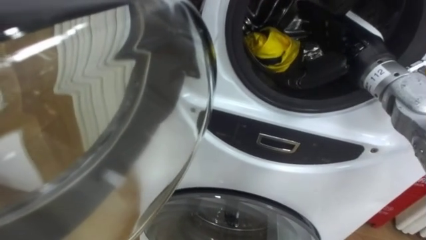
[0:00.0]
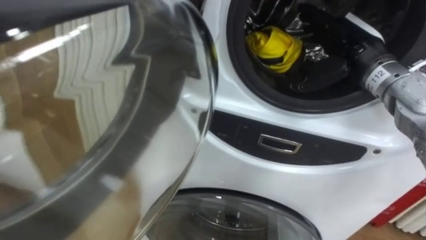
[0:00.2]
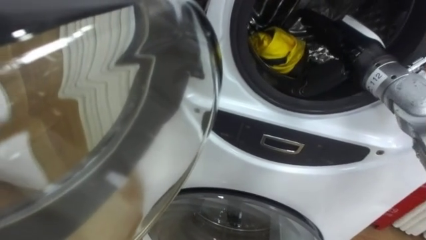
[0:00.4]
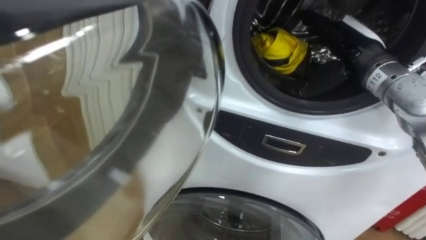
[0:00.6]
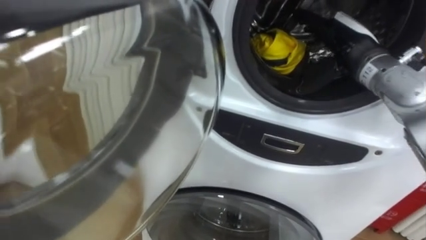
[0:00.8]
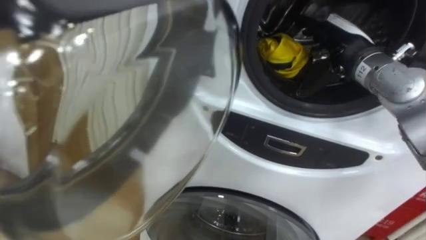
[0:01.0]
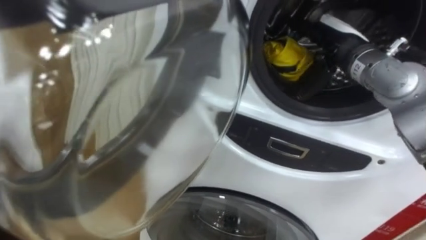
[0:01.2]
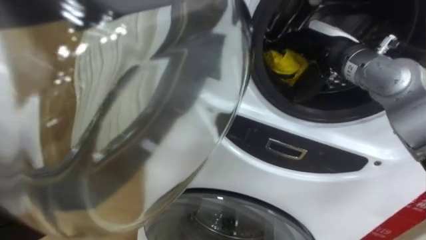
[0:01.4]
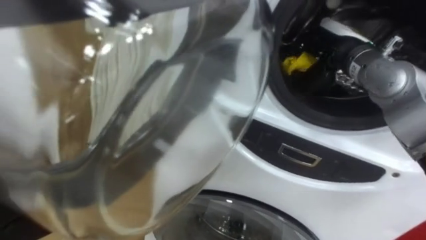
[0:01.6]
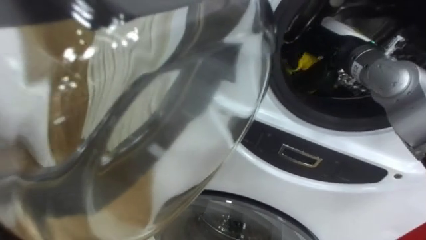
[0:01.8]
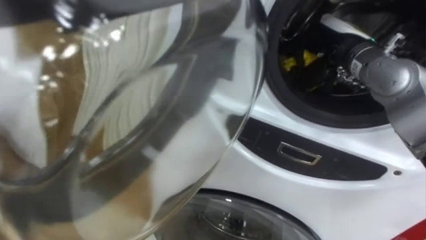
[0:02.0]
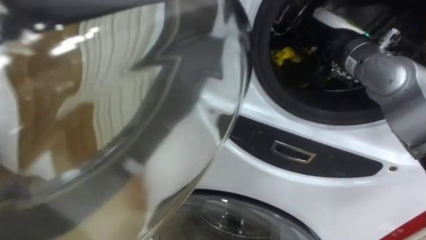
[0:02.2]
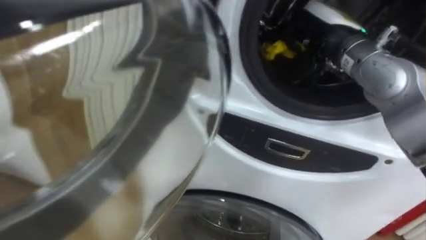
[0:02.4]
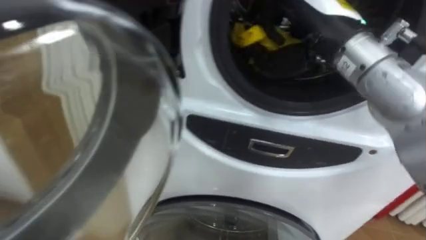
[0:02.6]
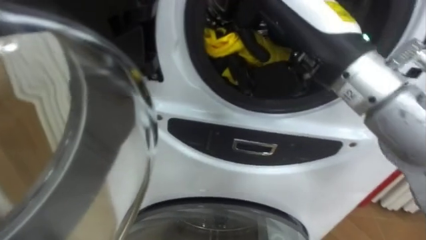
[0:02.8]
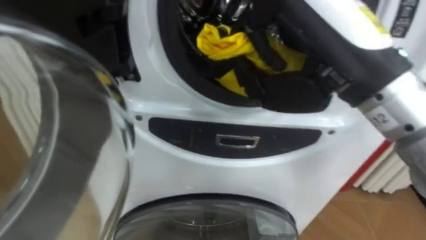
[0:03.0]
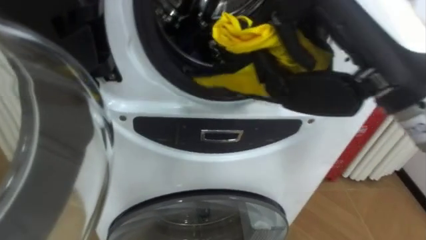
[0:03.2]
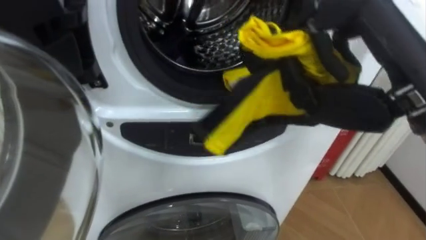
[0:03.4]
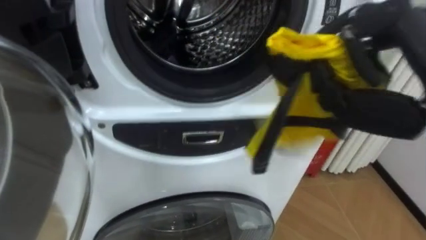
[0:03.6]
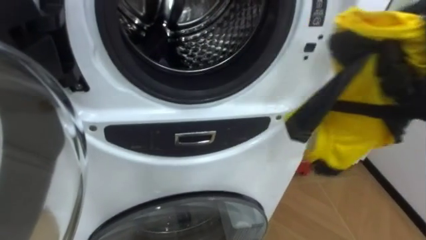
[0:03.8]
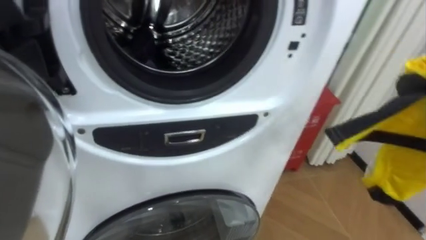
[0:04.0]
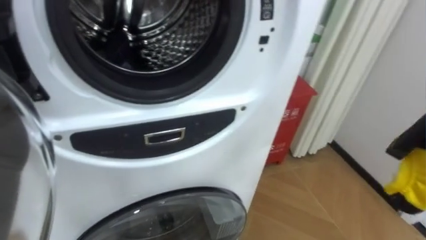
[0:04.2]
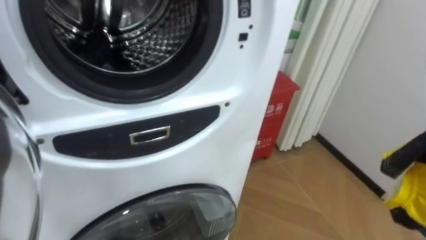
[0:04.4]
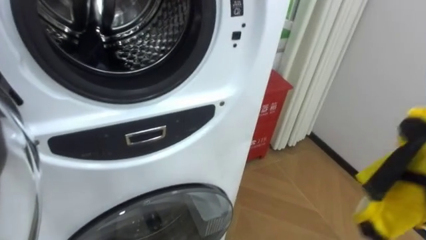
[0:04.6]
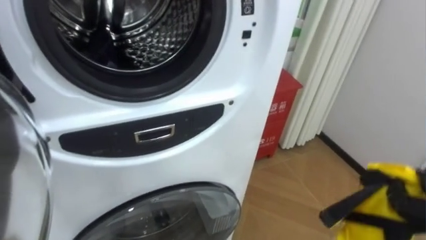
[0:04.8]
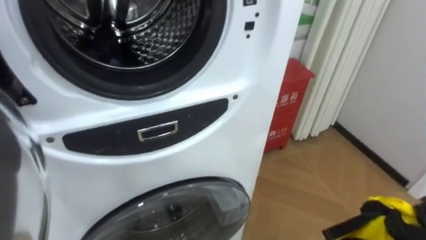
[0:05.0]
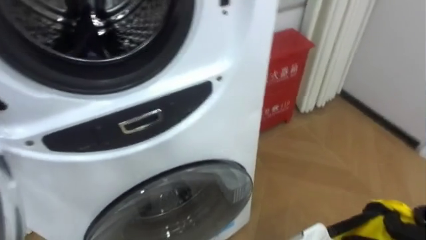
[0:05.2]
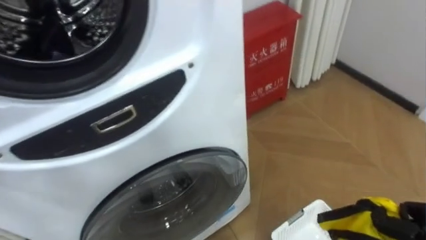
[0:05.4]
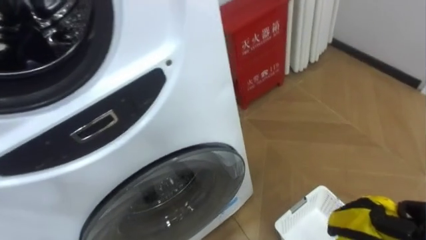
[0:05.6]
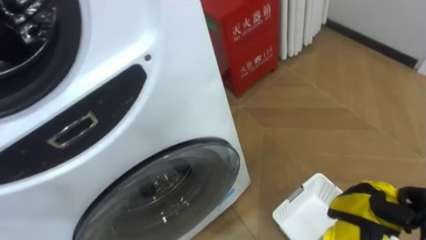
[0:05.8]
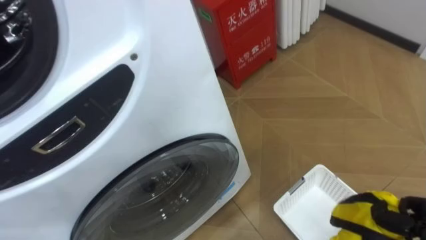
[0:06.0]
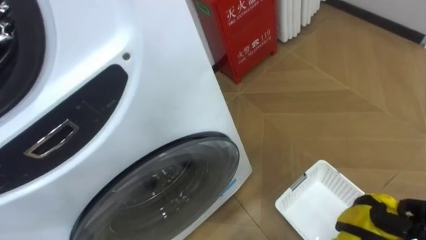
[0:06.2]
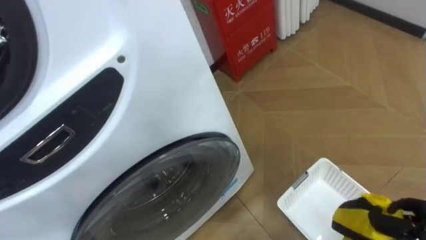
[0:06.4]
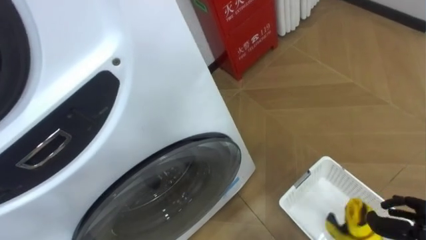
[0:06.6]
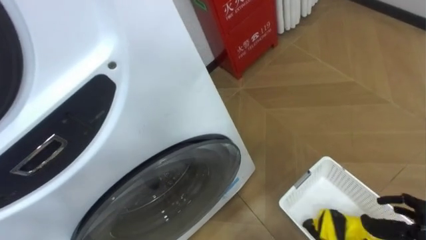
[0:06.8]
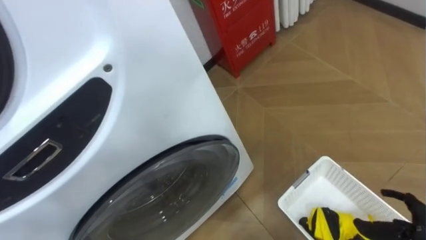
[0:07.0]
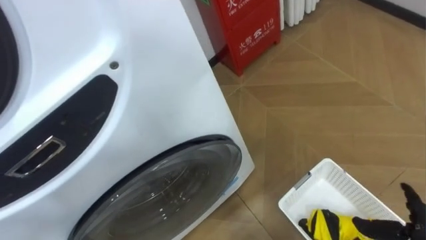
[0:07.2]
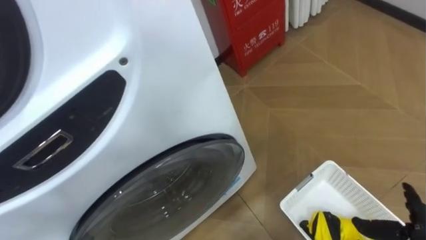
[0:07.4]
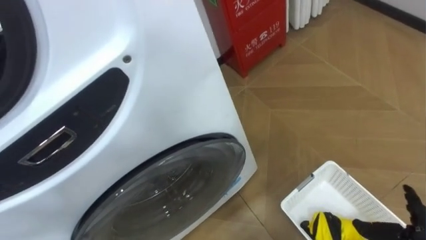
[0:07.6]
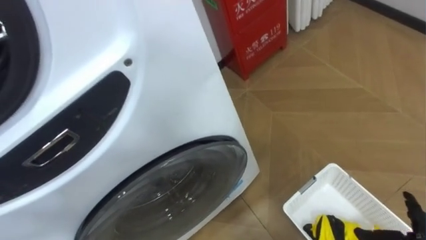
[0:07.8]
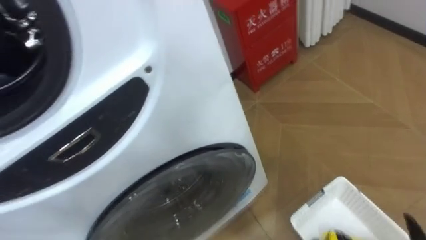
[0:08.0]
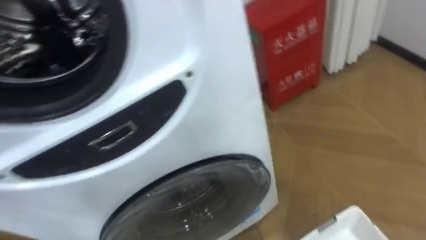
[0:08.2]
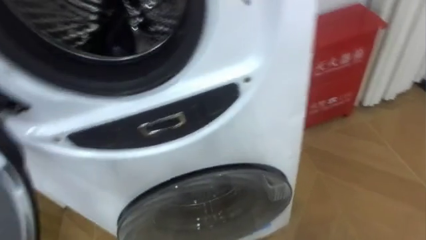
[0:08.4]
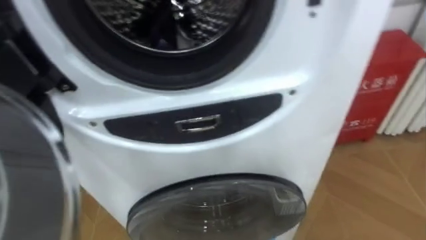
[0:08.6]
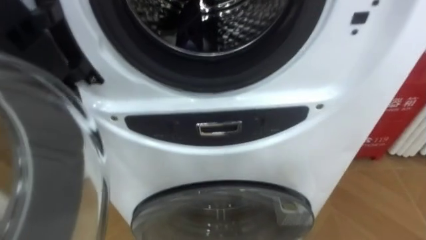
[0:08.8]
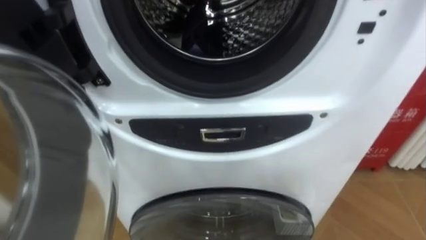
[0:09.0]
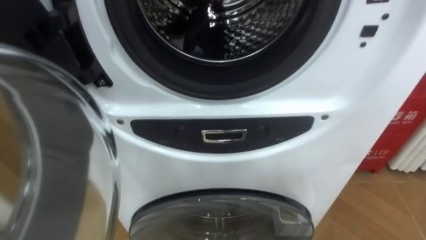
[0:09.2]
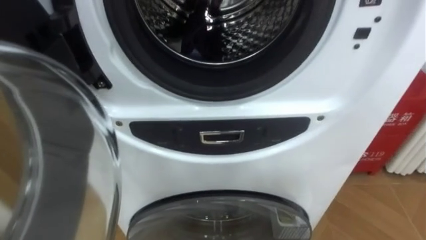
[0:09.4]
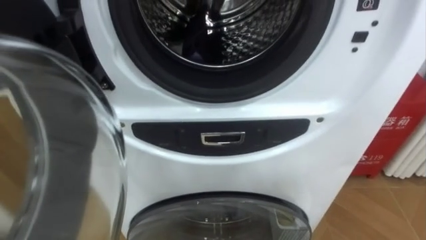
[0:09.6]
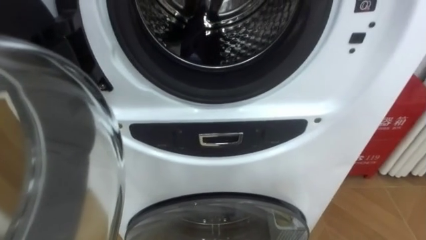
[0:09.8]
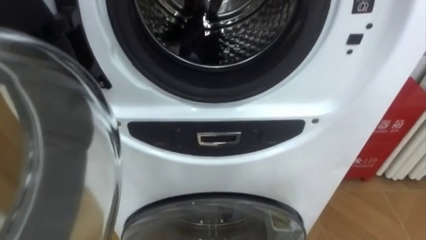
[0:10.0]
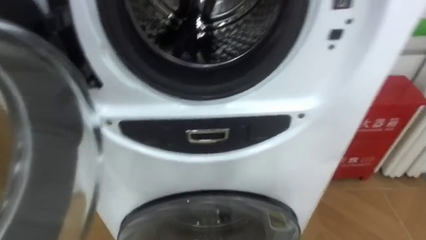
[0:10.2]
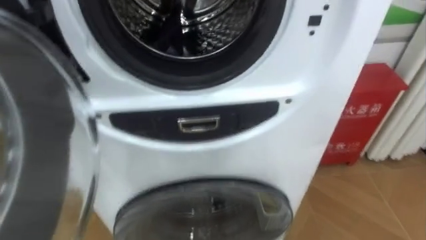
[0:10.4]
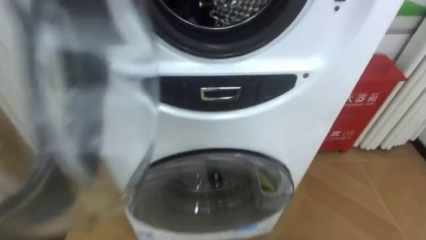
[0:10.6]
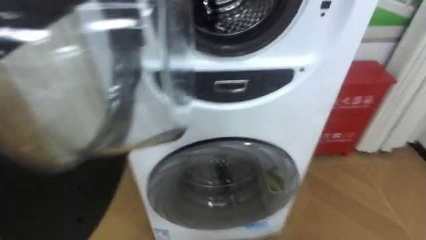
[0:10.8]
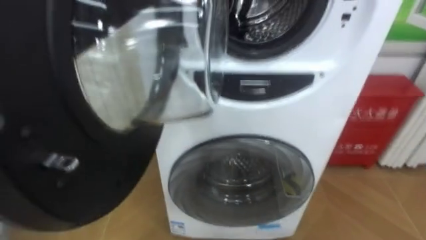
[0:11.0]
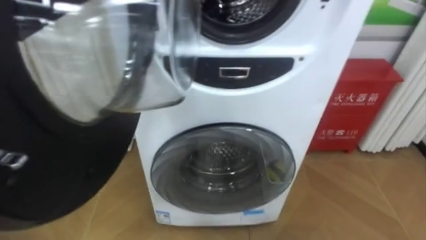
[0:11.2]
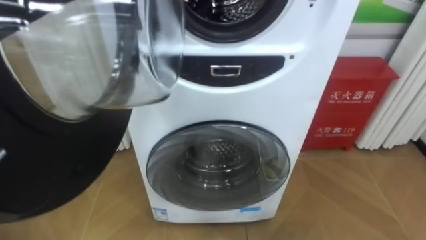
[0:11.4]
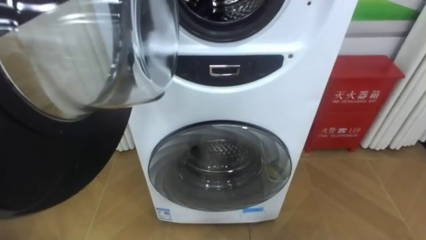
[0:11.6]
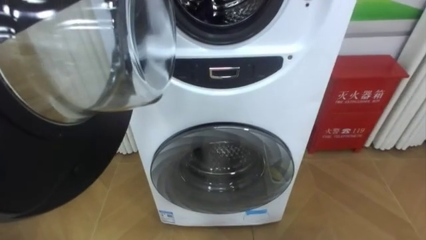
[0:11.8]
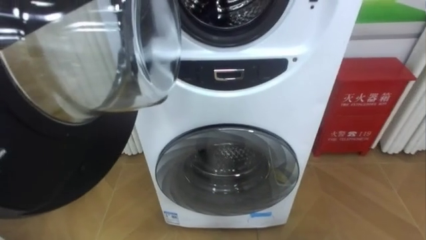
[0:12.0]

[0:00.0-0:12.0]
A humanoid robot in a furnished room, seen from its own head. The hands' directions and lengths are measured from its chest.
Task of the whole recording: Open the washing machine door, take out the yellow clothes, place them in the box on the right, and close the washing machine door.
0:00.0 to 0:01.6: The right hand closes up.
0:01.6 to 0:03.0: The right hand goes some 20 cm backward, upward and to the left.
0:06.0 to 0:07.6: The right hand opens.

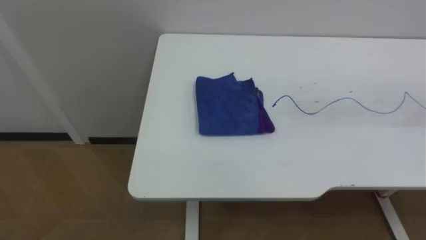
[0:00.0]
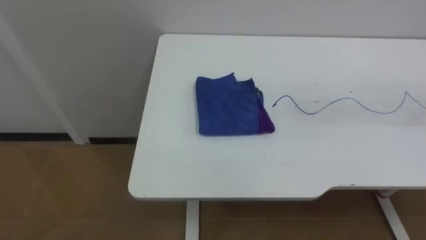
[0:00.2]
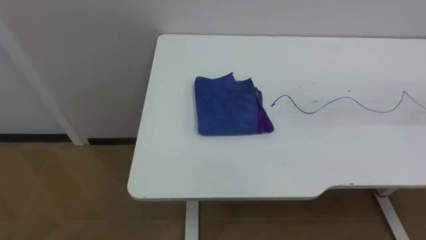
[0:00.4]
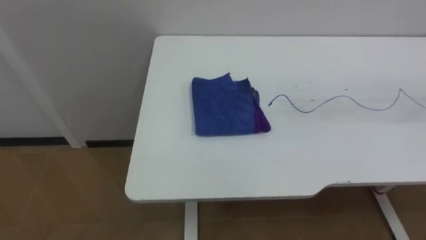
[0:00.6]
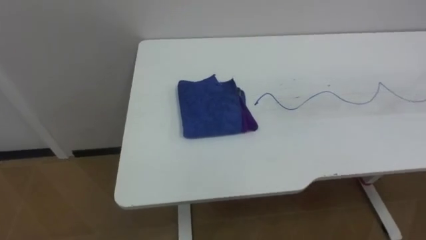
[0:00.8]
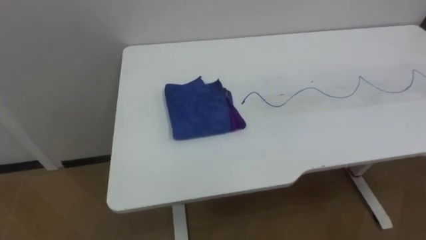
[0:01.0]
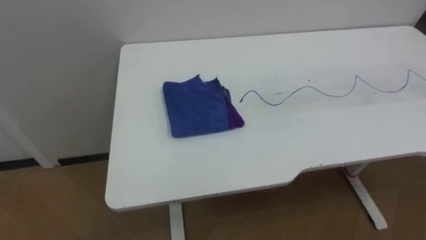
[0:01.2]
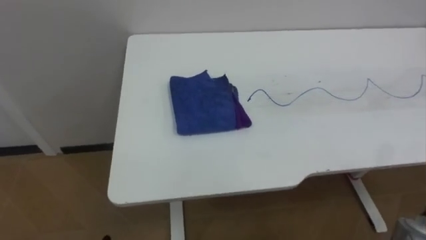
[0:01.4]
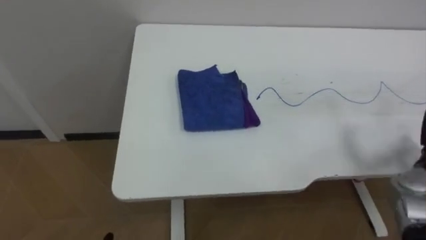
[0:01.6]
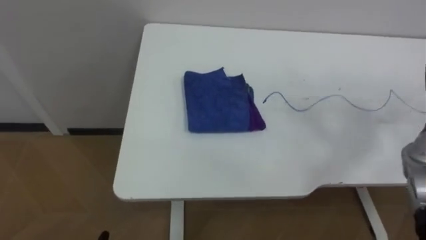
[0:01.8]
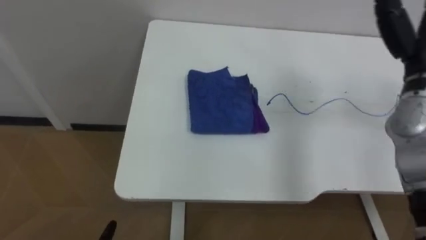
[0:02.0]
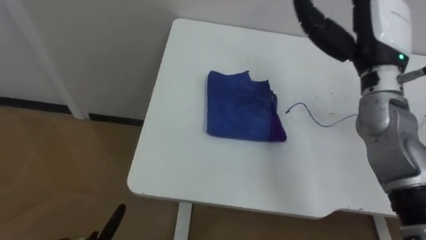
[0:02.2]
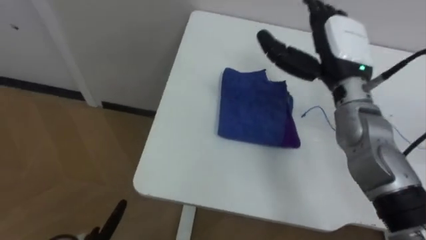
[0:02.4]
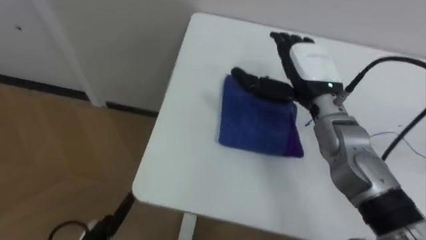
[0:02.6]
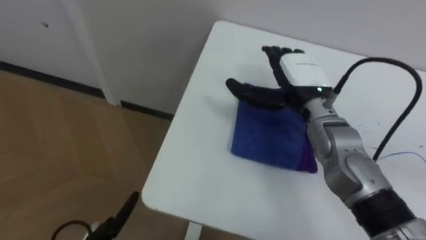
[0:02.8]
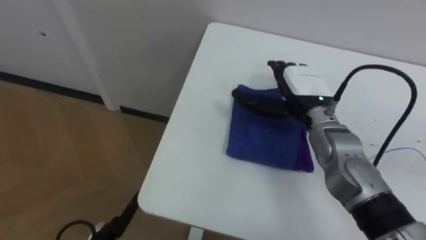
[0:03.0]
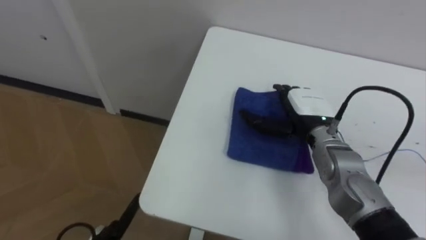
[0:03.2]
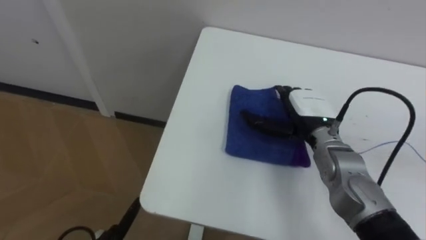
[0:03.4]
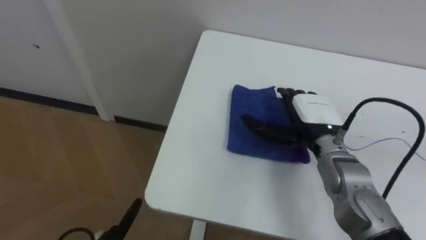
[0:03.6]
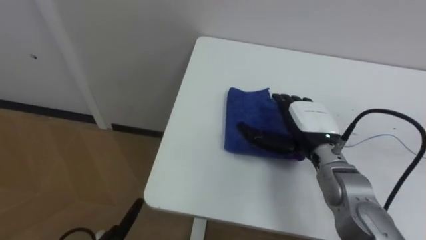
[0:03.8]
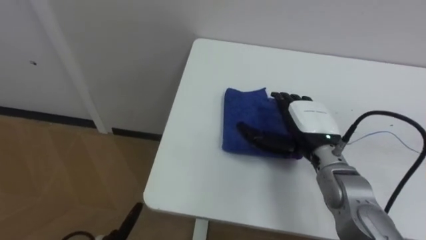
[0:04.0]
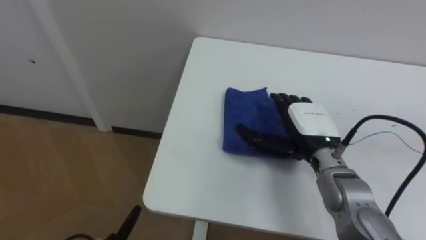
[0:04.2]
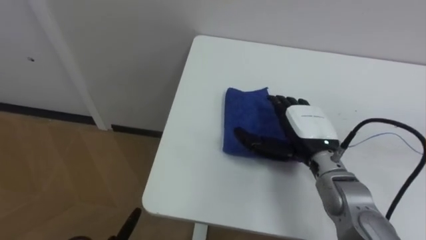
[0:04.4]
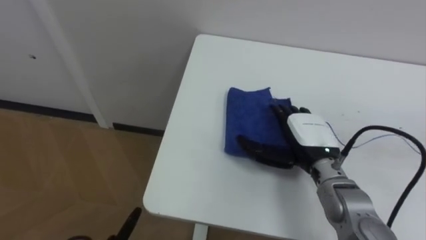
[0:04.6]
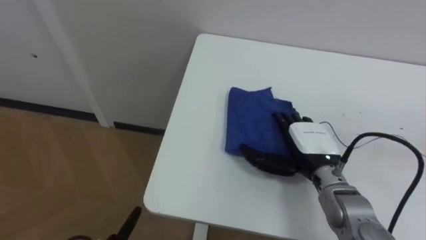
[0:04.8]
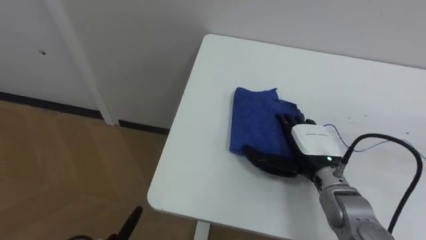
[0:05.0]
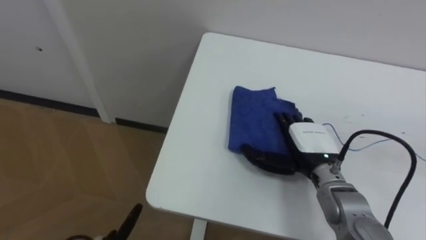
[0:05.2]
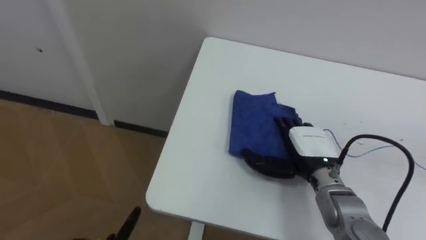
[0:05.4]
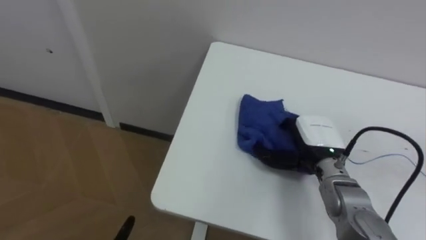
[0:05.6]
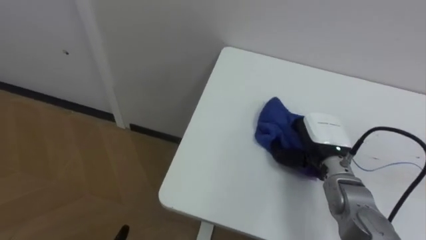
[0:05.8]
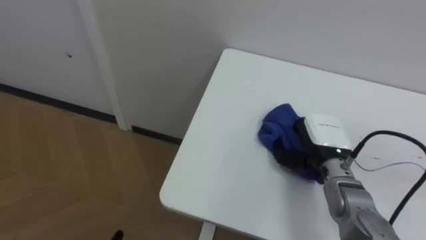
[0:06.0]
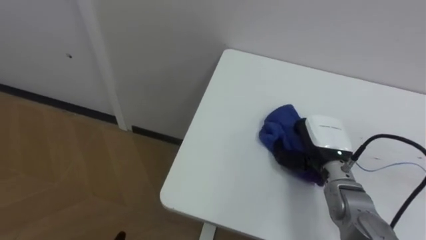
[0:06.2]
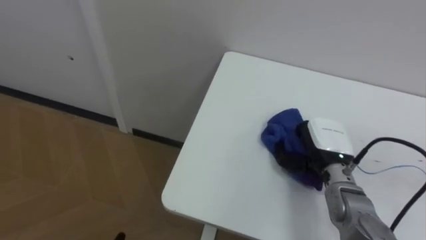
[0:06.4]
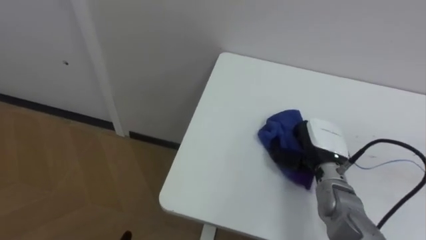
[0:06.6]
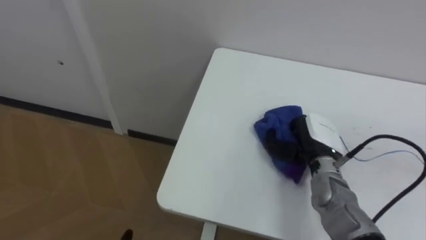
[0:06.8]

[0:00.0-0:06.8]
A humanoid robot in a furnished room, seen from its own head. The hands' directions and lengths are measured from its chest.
Task of the whole recording: Wipe the blue pen marks off the table with the rag.
0:02.8 to 0:04.0: The right hand shifts some 10 cm backward and downward.
0:04.0 to 0:05.4: The right hand goes roughly 5 cm downward.
0:05.4 to 0:06.8: The right hand closes.
